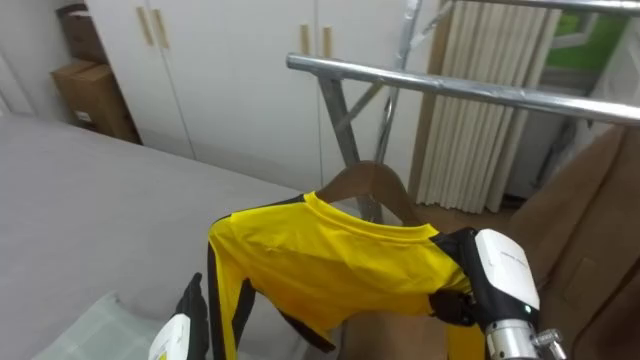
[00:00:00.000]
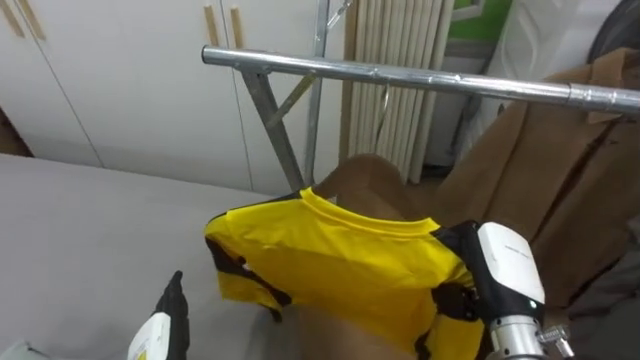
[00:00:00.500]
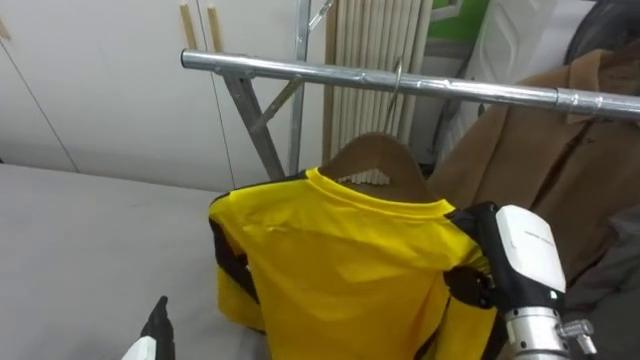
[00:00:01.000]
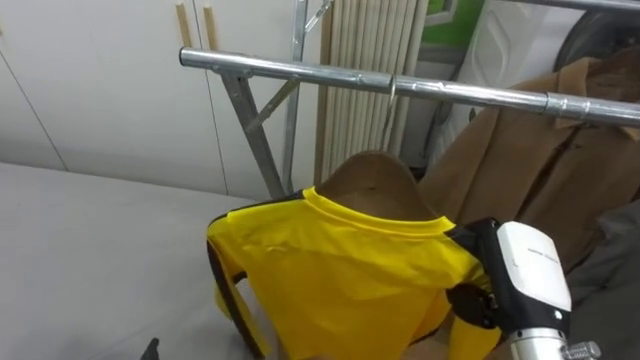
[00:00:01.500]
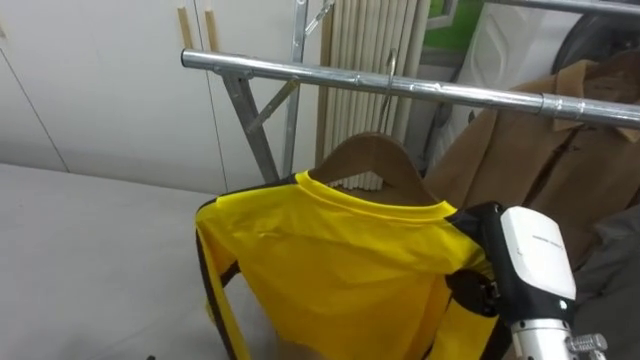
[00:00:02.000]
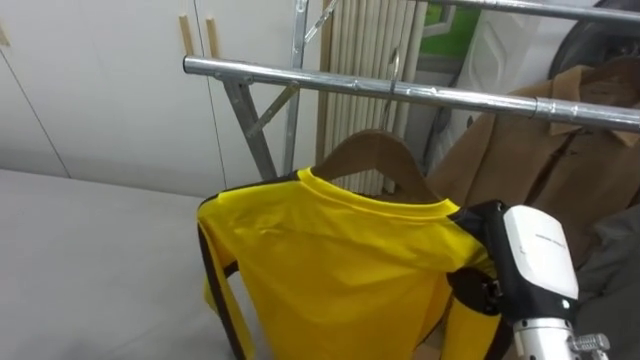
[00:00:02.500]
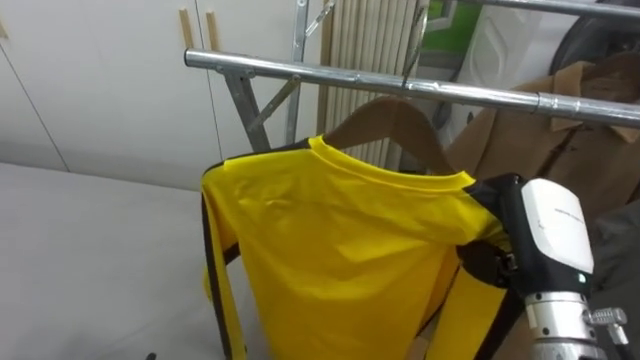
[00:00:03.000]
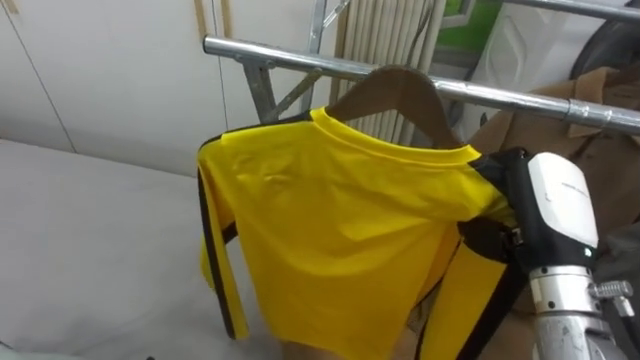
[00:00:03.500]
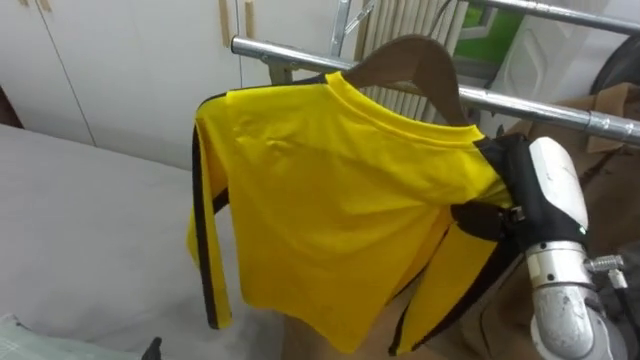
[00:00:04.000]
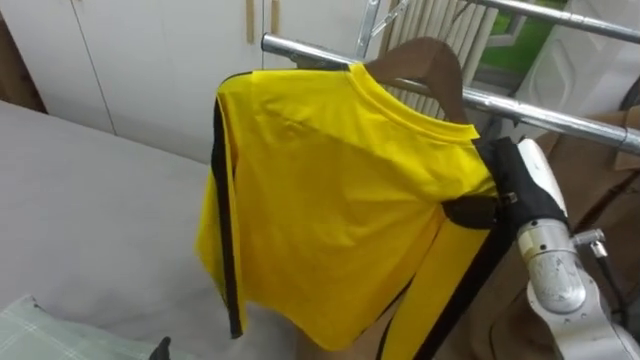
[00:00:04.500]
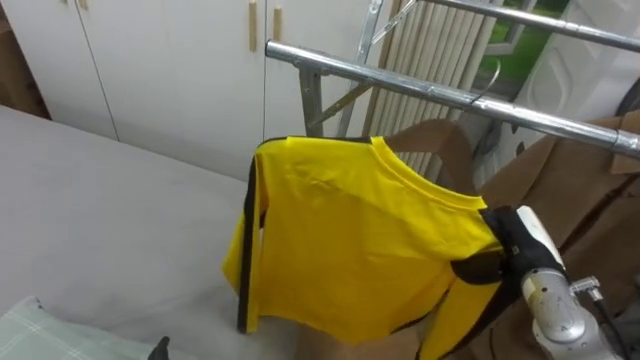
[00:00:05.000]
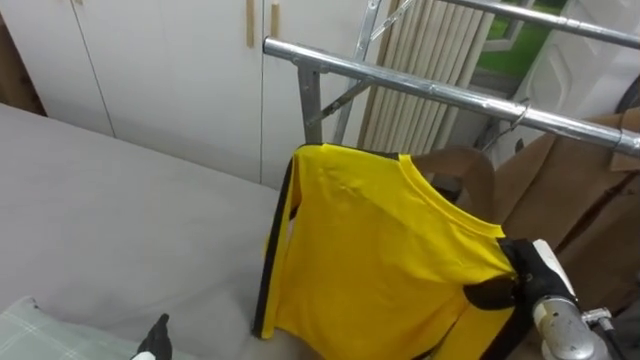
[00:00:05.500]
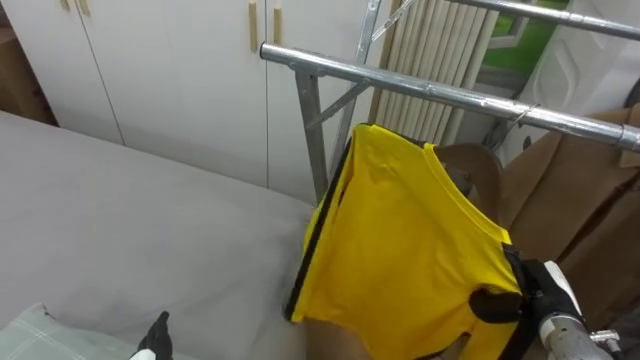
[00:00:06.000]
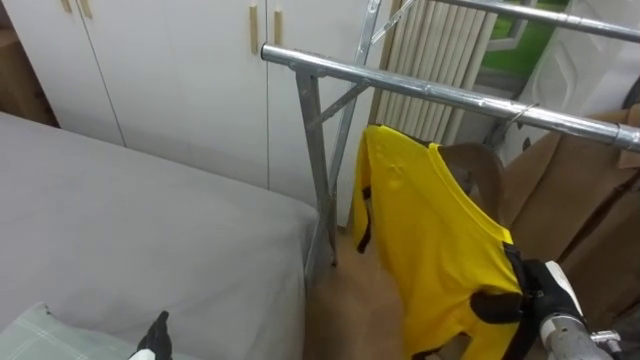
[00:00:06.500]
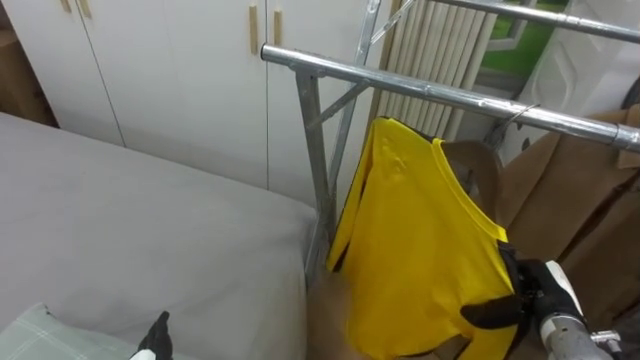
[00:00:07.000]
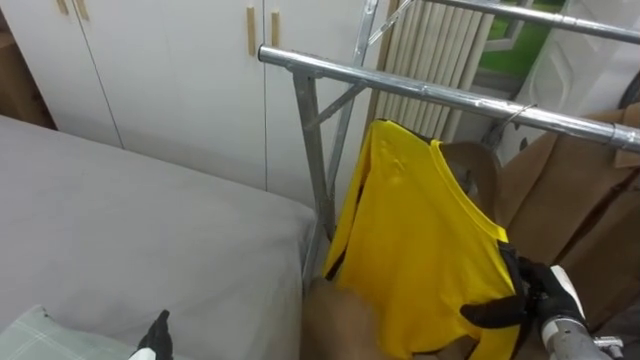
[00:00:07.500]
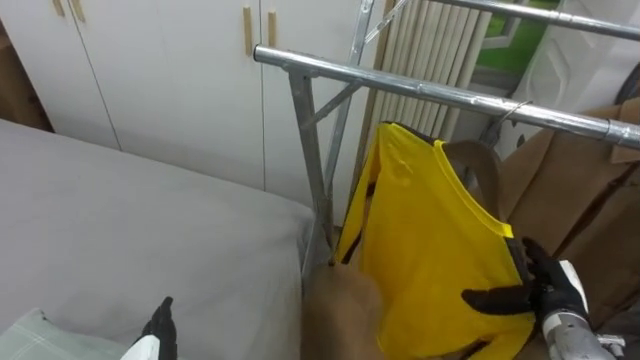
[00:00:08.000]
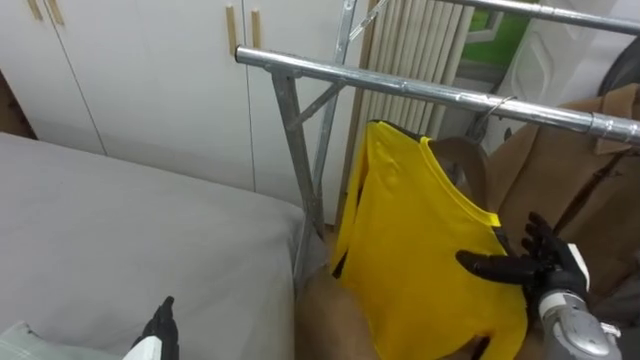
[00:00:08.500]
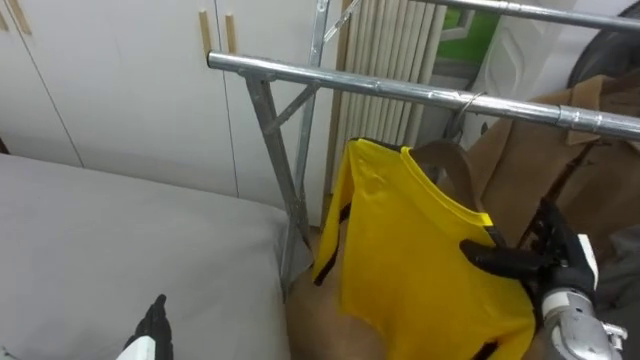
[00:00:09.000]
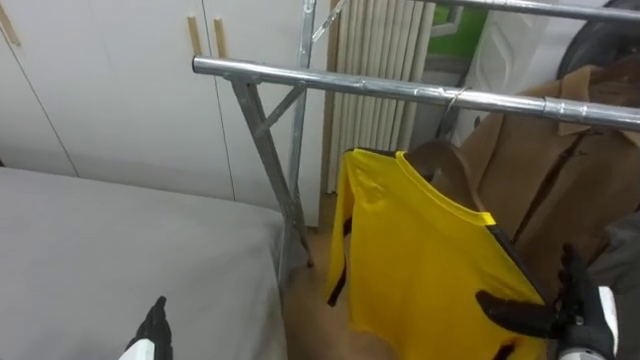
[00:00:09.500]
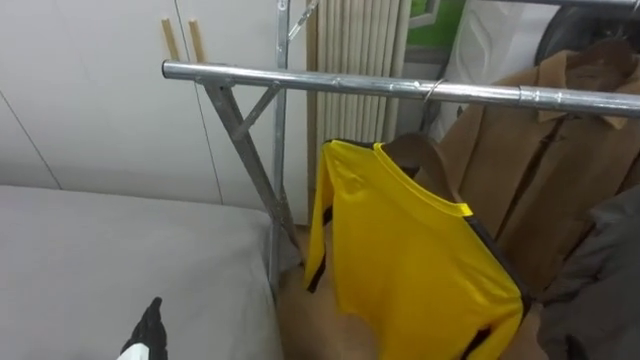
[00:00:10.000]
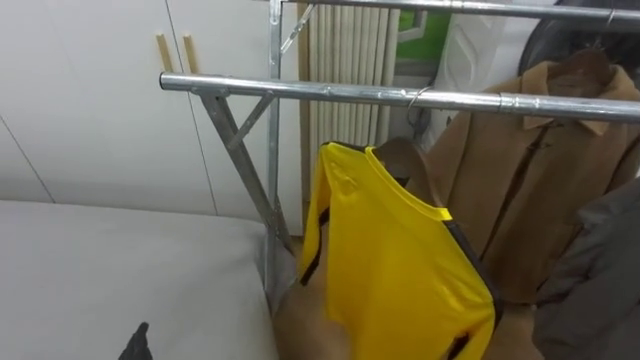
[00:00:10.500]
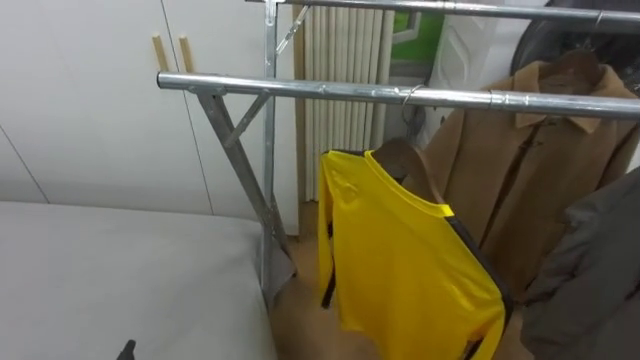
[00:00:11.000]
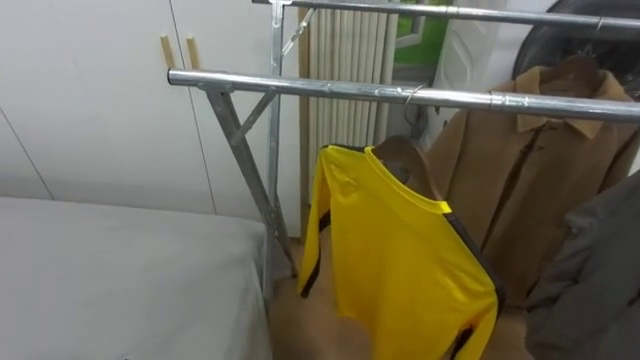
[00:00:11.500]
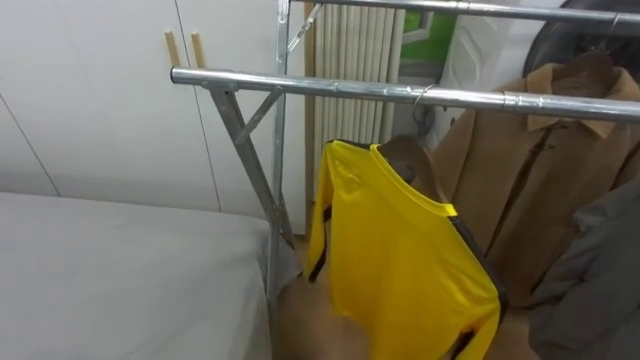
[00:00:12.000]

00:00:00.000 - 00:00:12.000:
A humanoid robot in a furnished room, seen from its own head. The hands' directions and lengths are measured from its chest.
Task of the whole recording: Pick up the yellow shirt on the bed and hang it on the clothes rack on the right.
00:00:00.000 - 00:00:02.000: The robot faces roughly 15 degrees further to its right. The right hand travels upward by approximately 5 cm.
00:00:02.000 - 00:00:04.000: The right hand shifts by about 5 cm.
00:00:04.000 - 00:00:06.000: The right hand heads downward, covering about 20 cm.
00:00:06.000 - 00:00:08.000: The right hand opens its fingers.

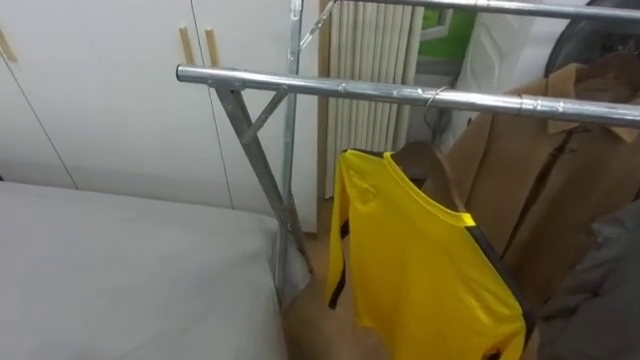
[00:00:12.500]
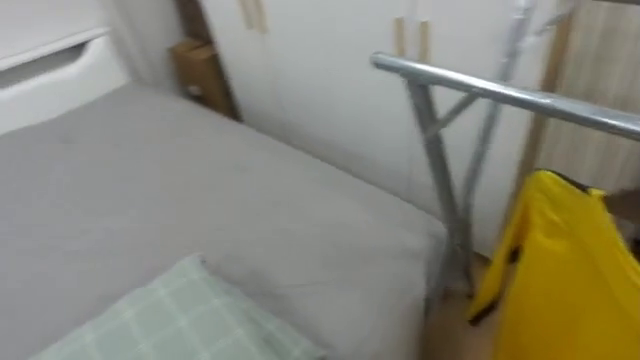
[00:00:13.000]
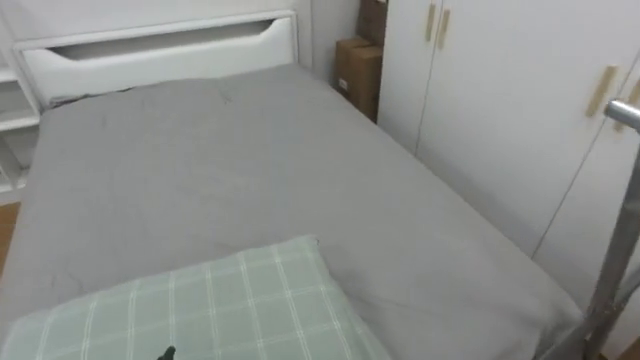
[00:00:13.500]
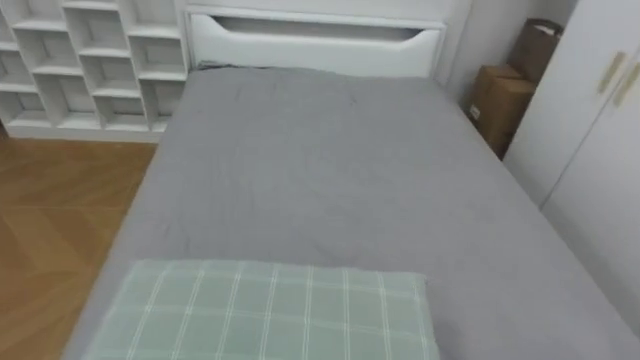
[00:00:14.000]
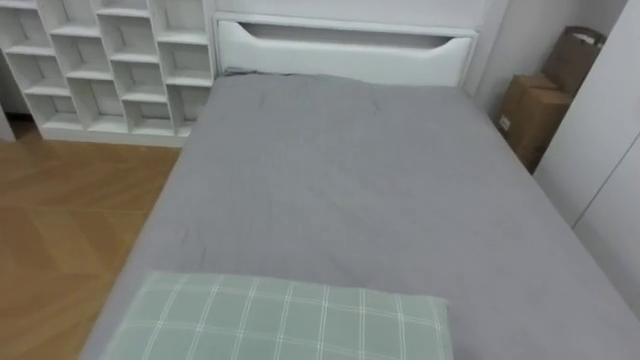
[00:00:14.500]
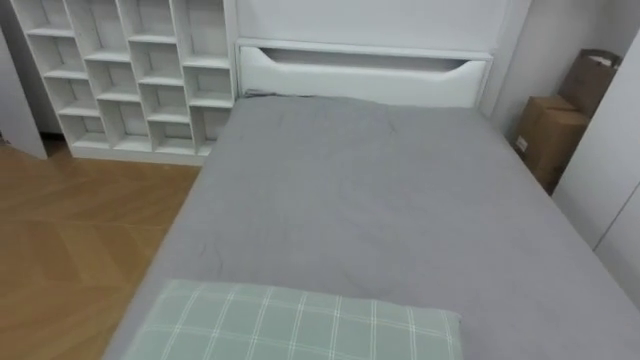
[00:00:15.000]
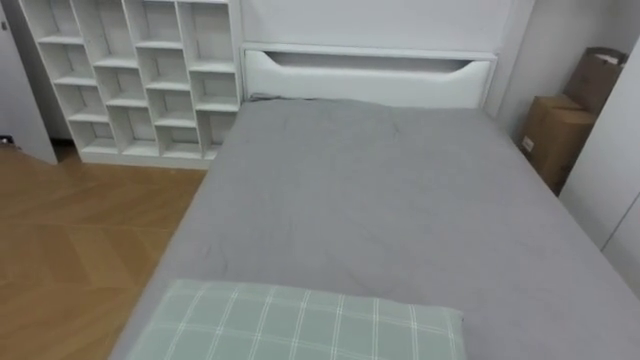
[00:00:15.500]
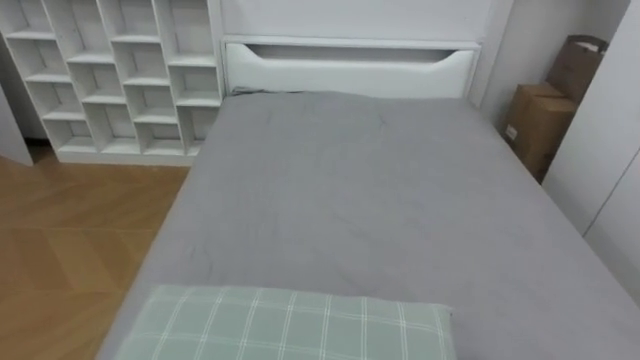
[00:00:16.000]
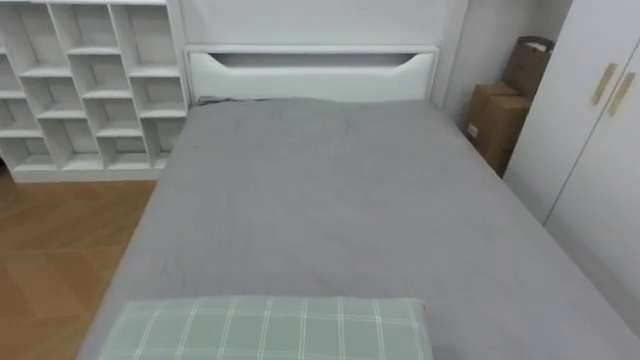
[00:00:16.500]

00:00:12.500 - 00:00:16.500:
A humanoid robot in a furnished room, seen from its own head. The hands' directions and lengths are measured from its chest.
Task of the whole recording: Pick up the yellow shirt on the bed and hang it on the clothes rack on the right.
00:00:12.500 - 00:00:14.500: The robot's body swings about 80 degrees to its left.

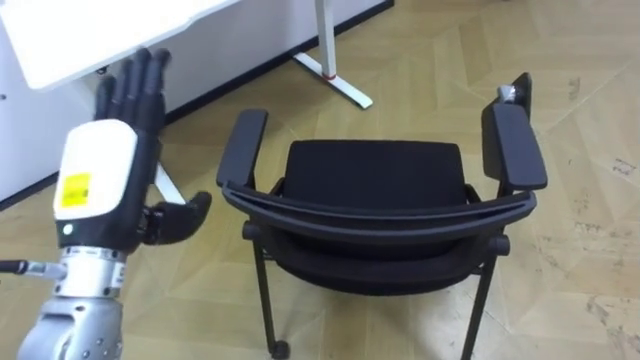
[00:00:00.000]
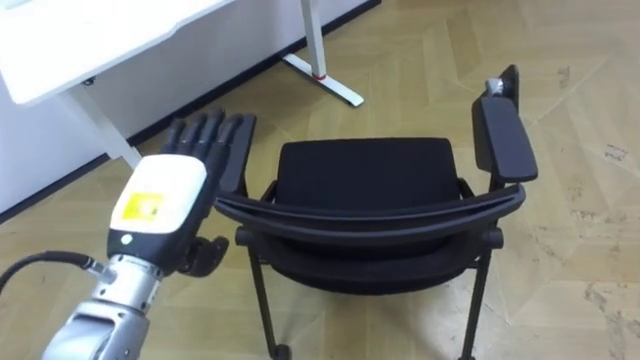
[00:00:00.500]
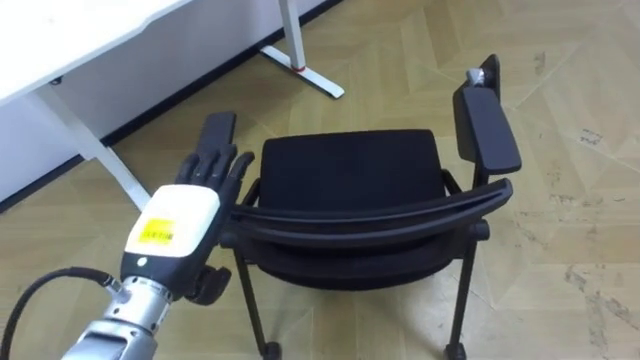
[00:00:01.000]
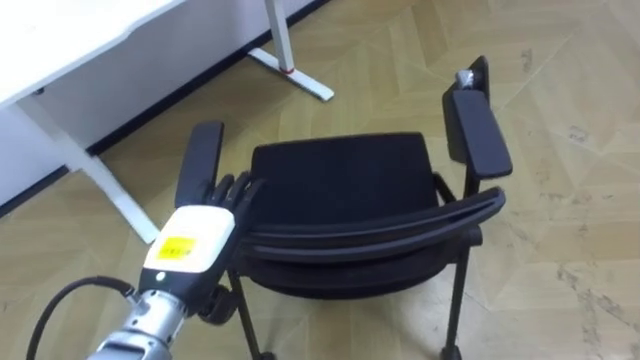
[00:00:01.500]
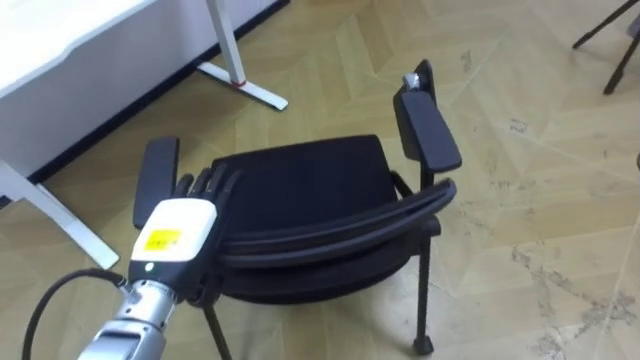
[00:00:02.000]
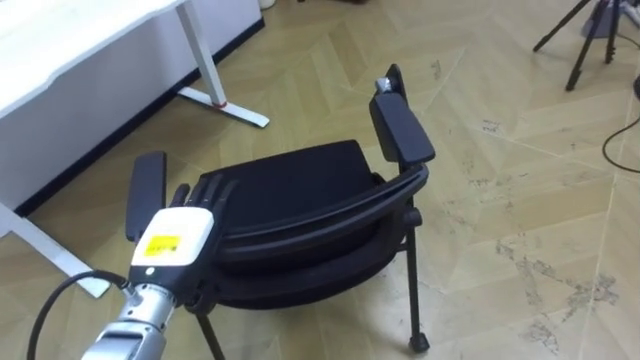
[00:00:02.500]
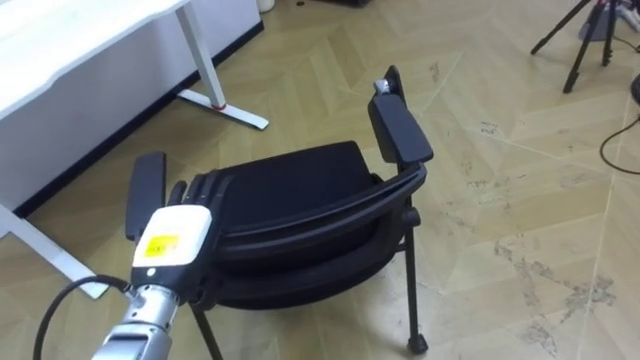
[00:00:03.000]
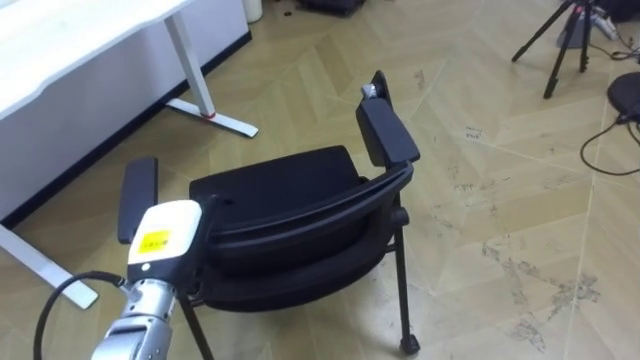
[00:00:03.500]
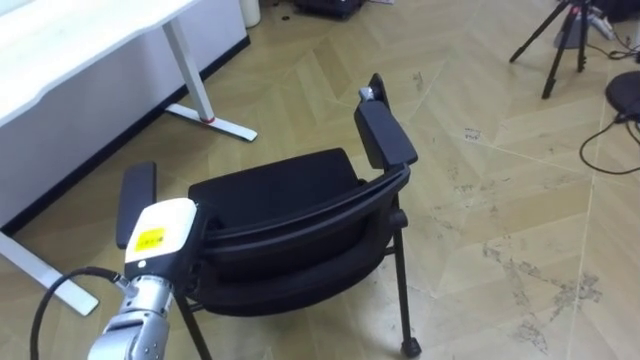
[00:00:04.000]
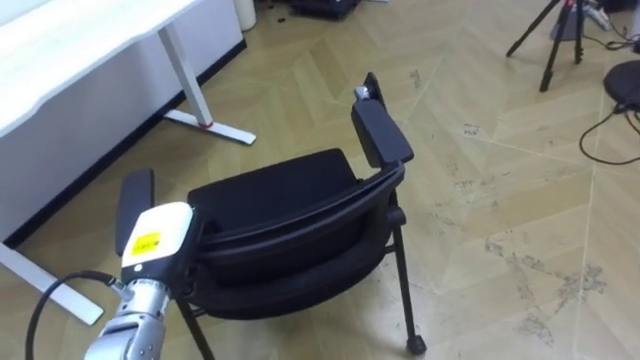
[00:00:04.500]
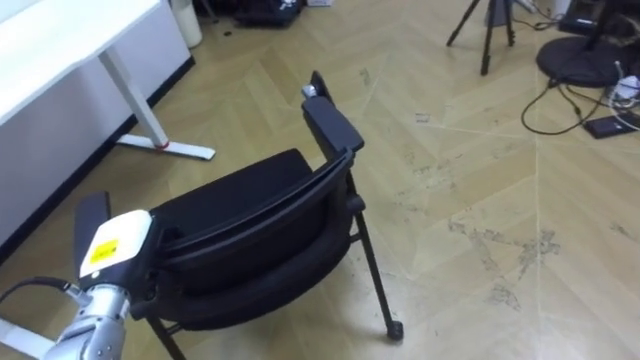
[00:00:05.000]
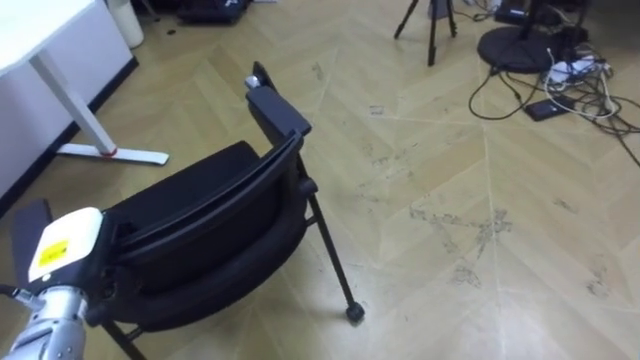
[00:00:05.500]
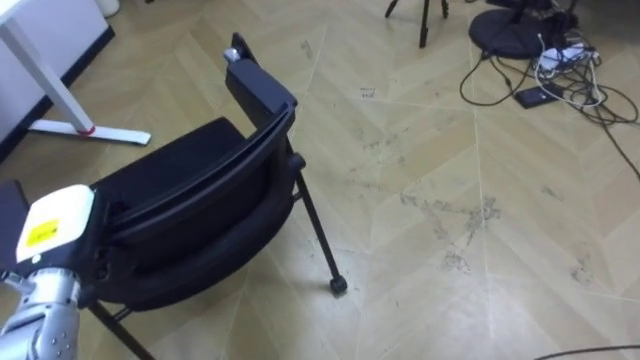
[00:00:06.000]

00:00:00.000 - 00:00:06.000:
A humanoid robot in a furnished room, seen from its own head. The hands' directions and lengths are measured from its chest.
Task of the whole recording: Push the chair under the table.
00:00:00.000 - 00:00:02.000: The left hand moves downward, about 10 cm.
00:00:02.000 - 00:00:04.000: The left hand closes.
00:00:04.000 - 00:00:06.000: The left hand shifts some 10 cm to the left.
